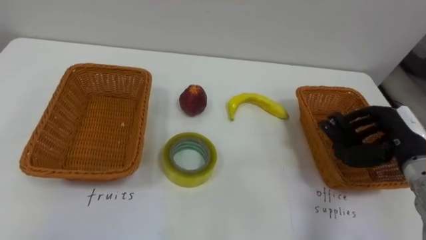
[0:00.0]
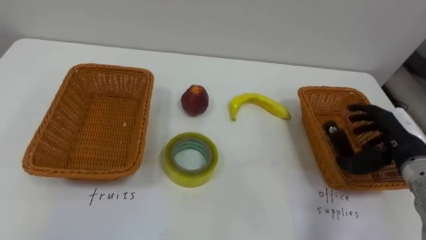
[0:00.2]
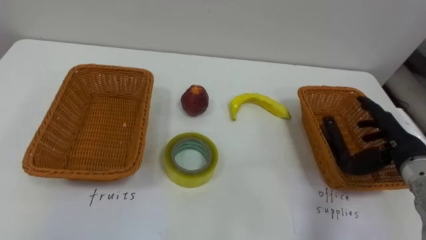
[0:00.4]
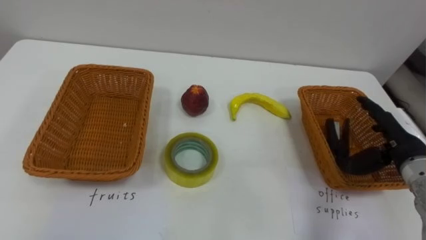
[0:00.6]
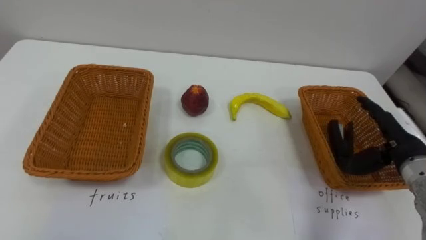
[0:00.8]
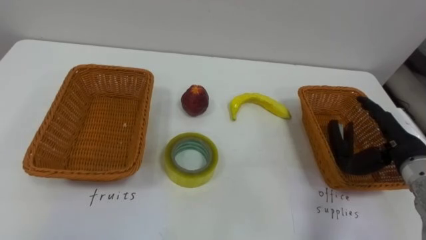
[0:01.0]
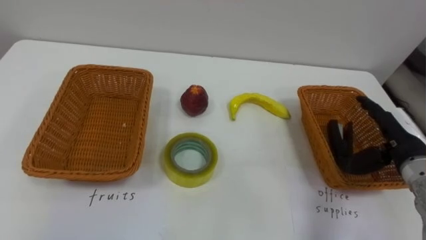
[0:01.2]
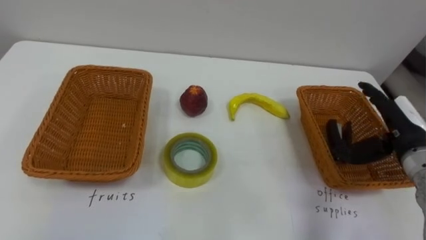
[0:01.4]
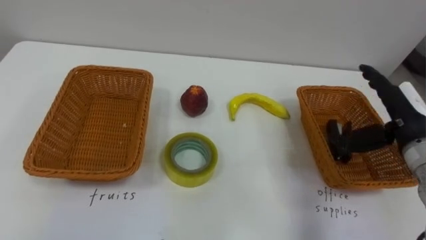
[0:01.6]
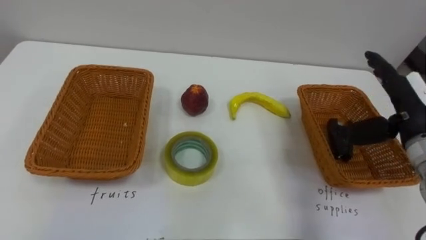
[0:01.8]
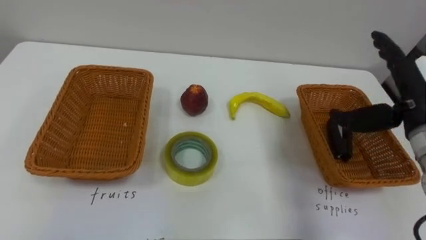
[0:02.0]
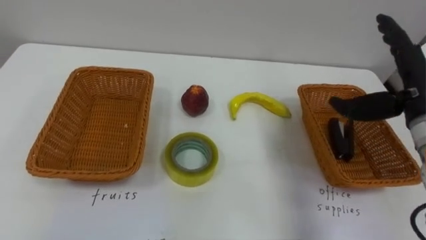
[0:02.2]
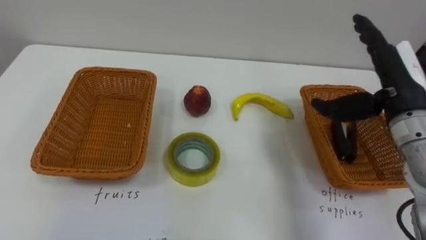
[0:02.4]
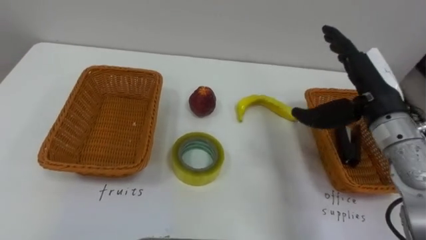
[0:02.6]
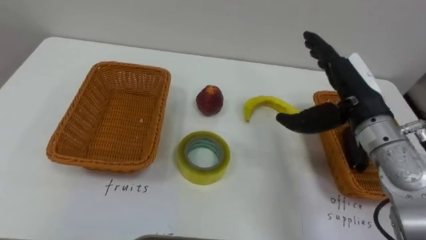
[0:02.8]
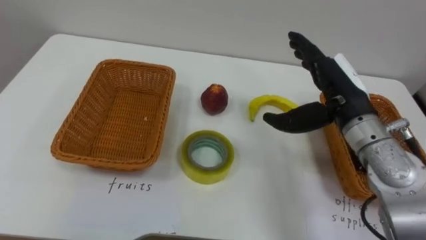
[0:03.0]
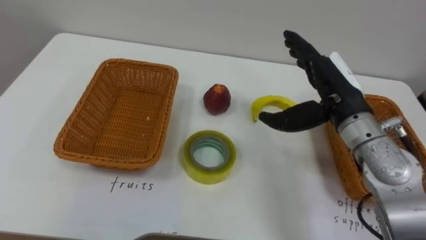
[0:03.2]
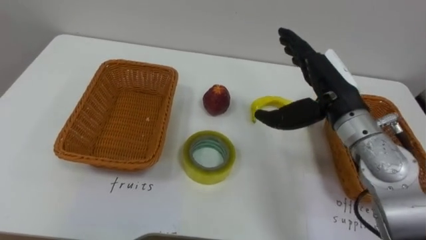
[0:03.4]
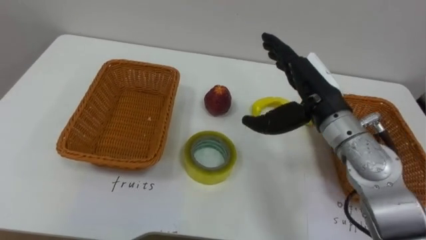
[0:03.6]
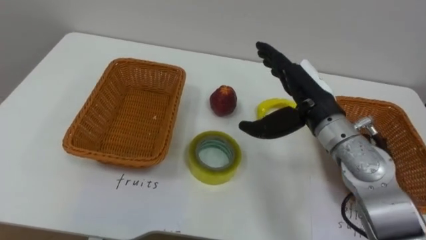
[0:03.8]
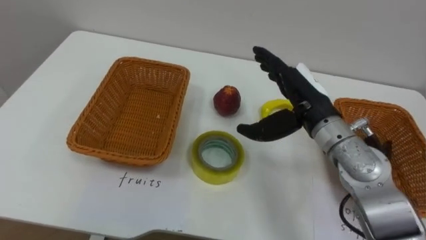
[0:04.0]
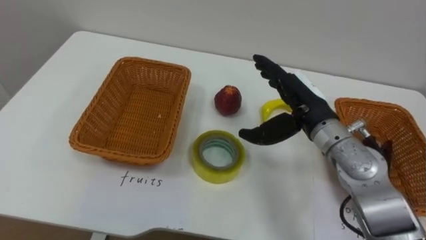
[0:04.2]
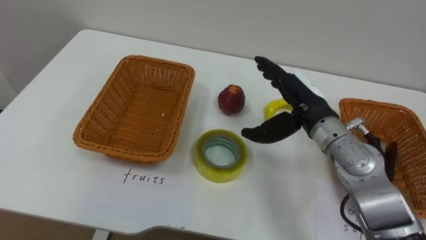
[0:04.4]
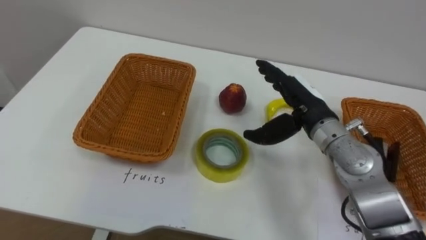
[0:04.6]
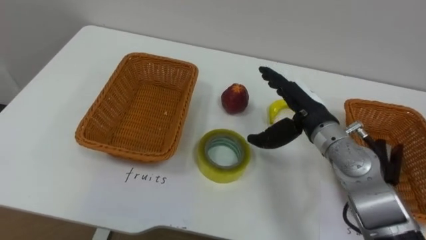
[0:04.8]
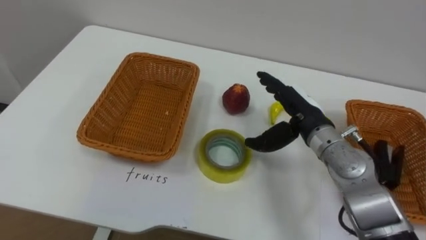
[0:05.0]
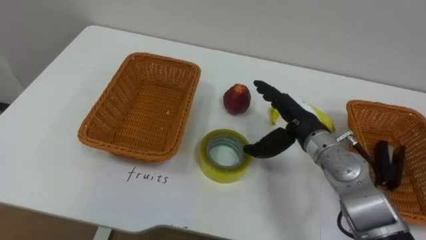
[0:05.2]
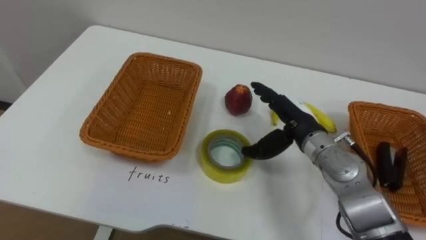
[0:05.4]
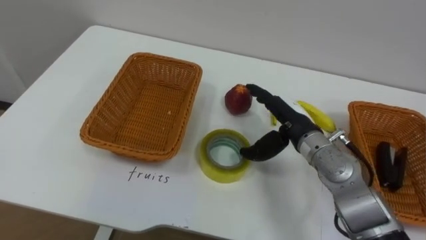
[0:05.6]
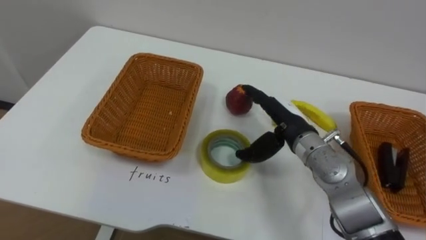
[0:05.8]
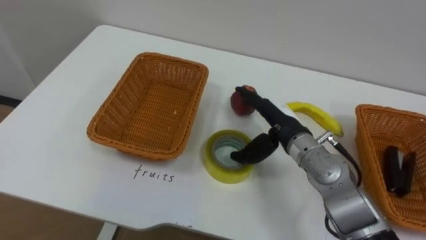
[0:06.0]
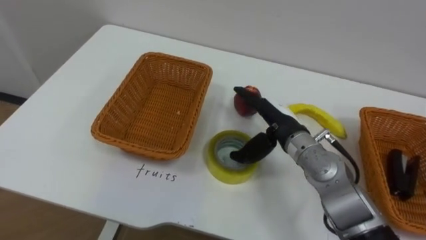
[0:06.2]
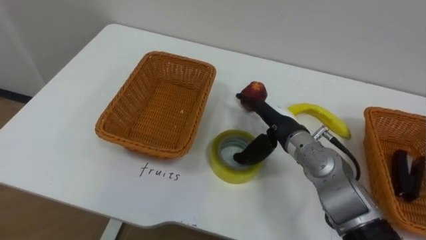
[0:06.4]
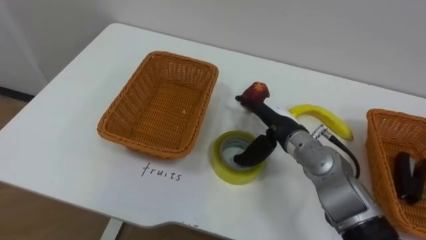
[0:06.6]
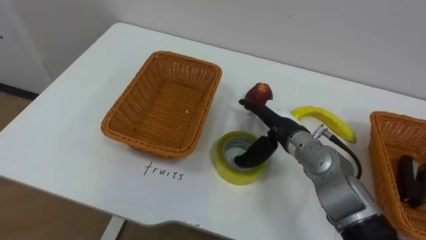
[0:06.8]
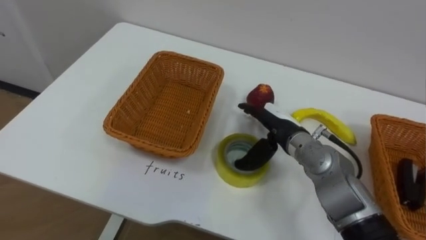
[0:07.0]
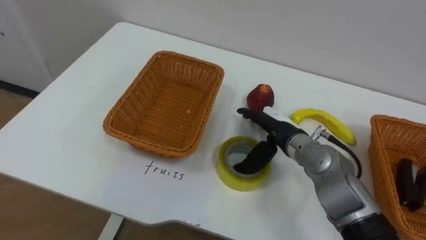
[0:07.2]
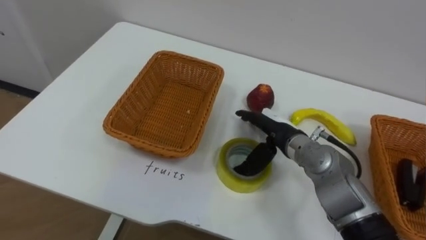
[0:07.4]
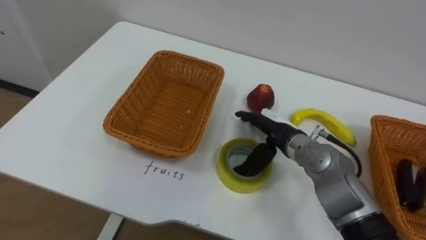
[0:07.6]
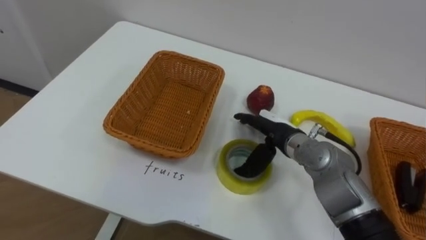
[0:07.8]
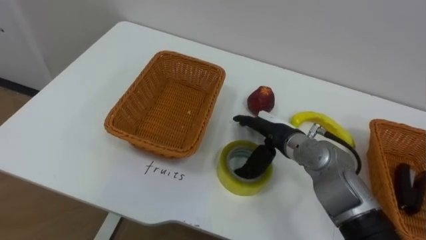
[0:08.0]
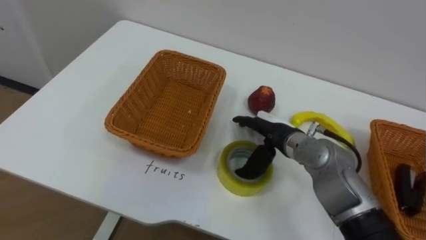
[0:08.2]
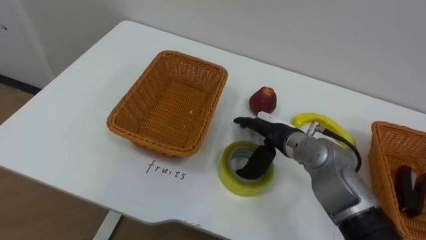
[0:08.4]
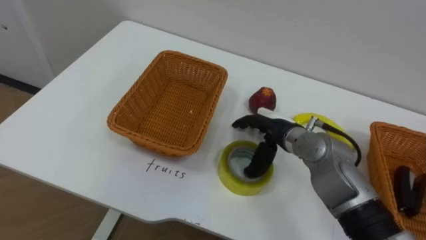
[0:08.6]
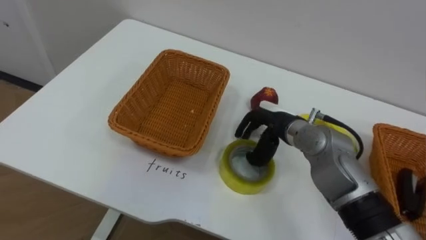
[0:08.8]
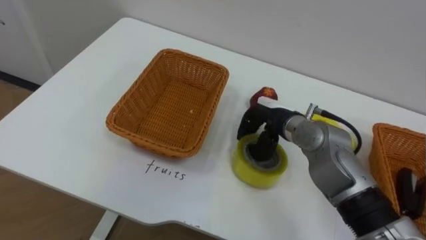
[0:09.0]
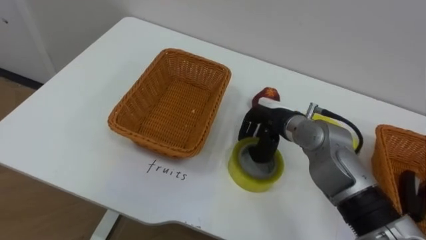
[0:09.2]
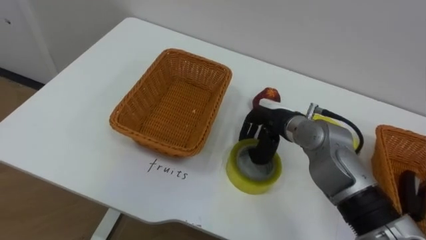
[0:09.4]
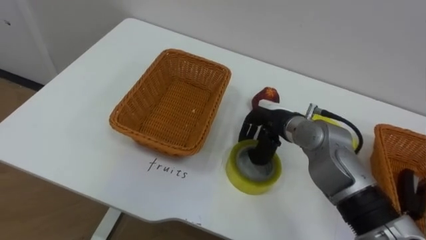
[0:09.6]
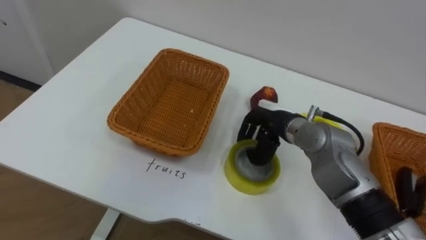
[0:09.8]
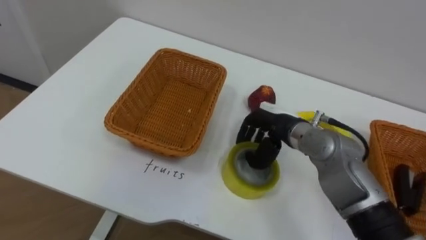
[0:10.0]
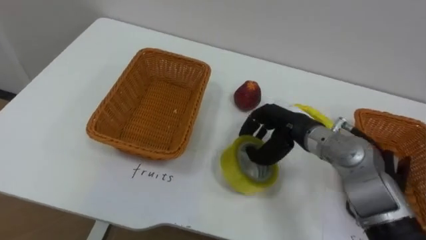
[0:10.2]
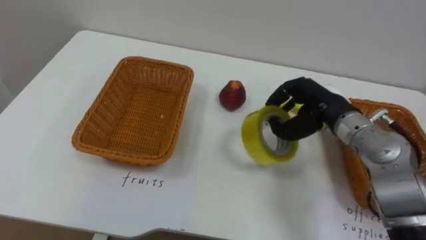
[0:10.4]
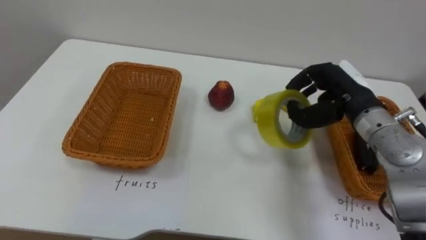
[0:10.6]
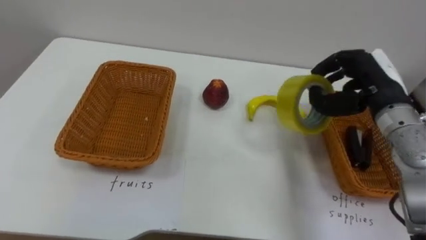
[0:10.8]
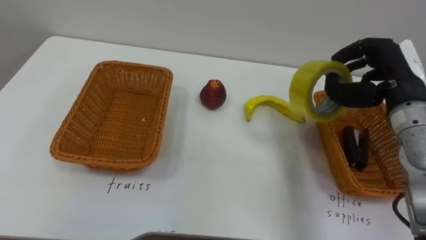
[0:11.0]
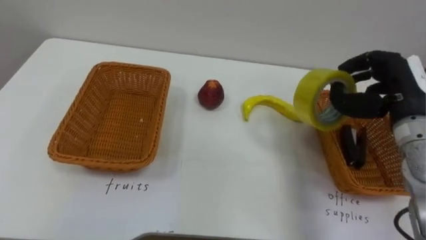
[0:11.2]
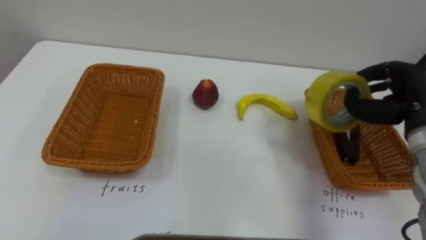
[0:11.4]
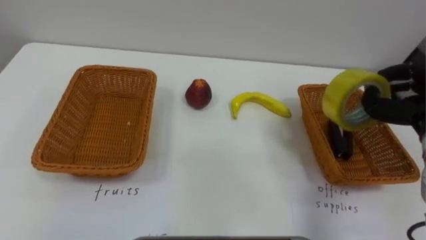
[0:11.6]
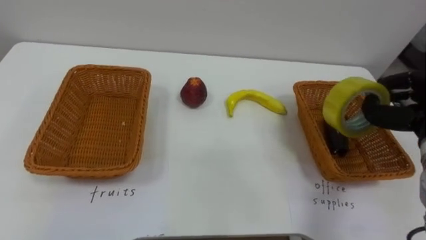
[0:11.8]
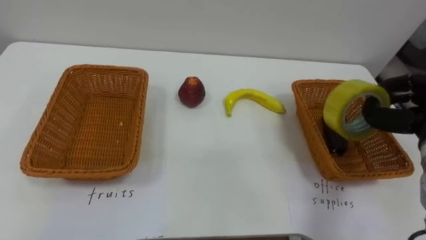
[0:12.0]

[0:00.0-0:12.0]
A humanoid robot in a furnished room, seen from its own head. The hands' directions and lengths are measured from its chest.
Task of the whole recording: Separate the items on the table and place them into the two baskets.
0:00.0 to 0:01.6: The right hand opens.
0:01.6 to 0:03.0: The right hand goes approximately 10 cm to the left.
0:03.0 to 0:04.4: The right hand shifts by roughly 5 cm.
0:04.4 to 0:06.0: The right hand moves about 5 cm.
0:07.6 to 0:09.0: The right hand closes up.
0:09.0 to 0:10.4: The right hand goes roughly 10 cm to the right and upward.

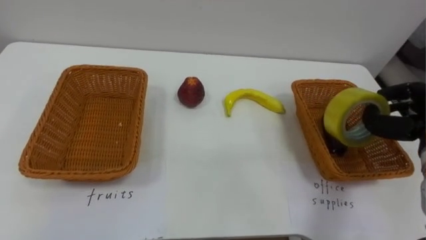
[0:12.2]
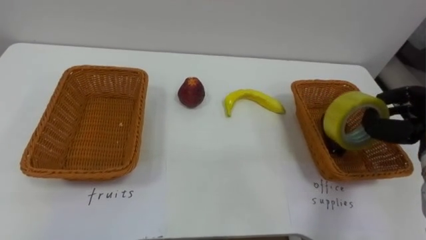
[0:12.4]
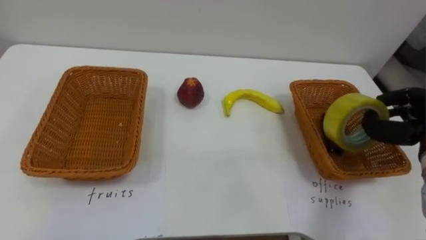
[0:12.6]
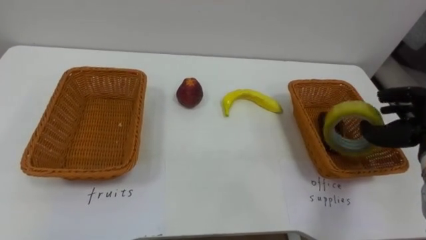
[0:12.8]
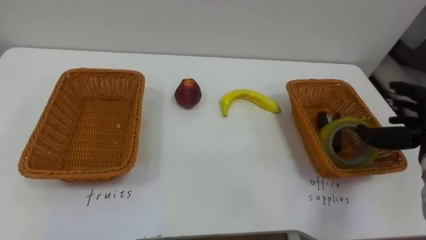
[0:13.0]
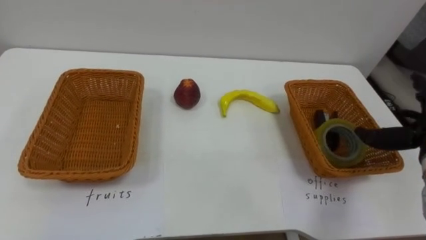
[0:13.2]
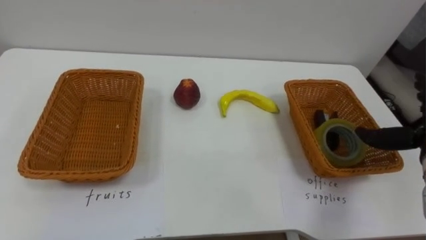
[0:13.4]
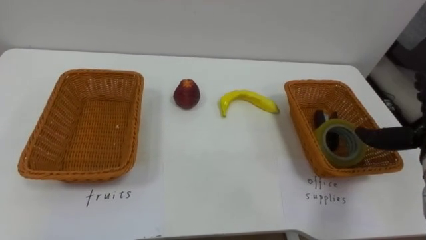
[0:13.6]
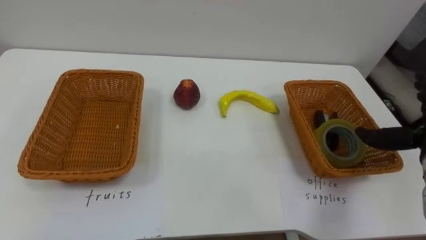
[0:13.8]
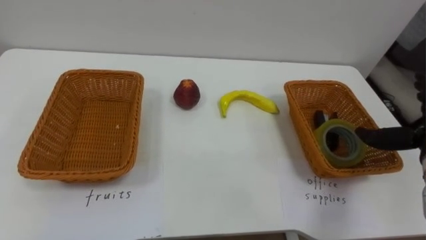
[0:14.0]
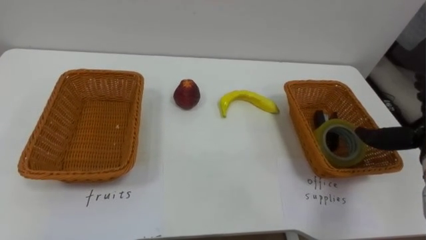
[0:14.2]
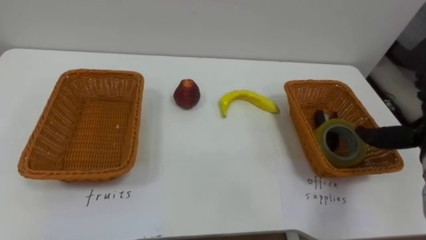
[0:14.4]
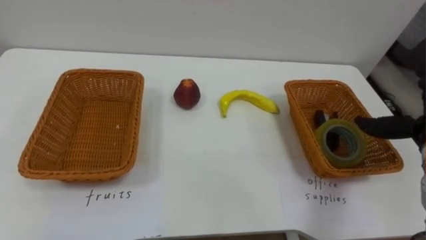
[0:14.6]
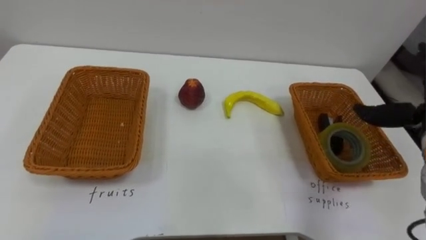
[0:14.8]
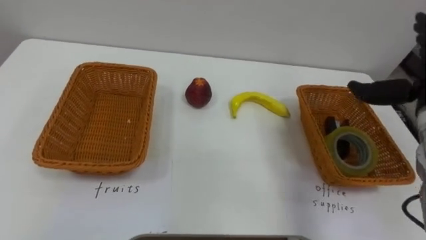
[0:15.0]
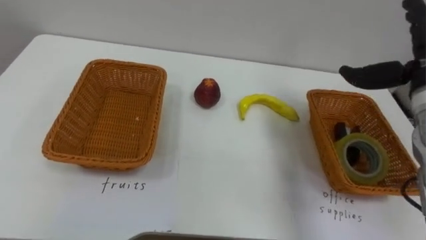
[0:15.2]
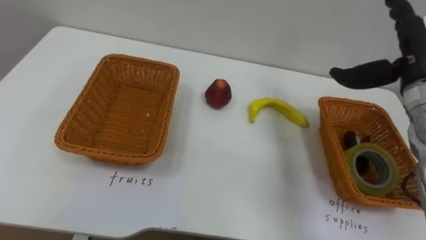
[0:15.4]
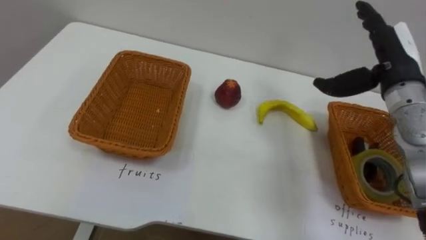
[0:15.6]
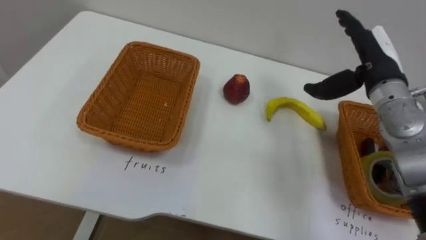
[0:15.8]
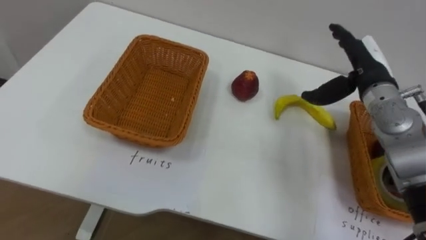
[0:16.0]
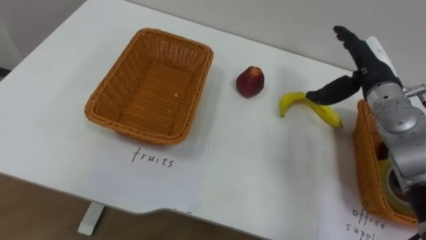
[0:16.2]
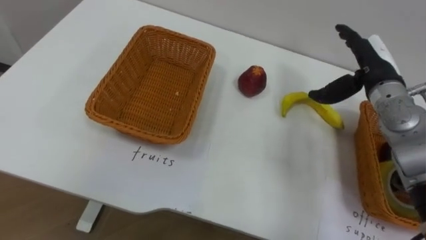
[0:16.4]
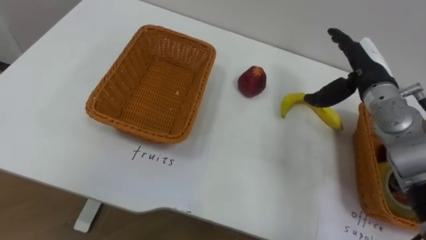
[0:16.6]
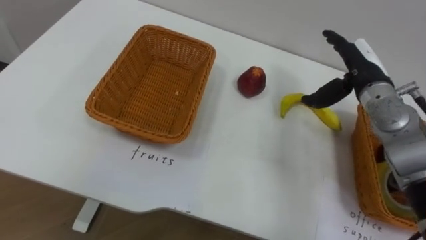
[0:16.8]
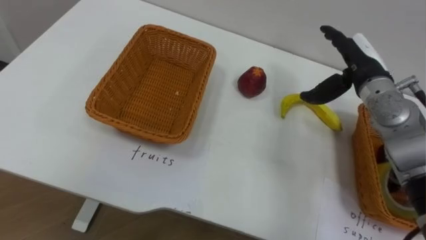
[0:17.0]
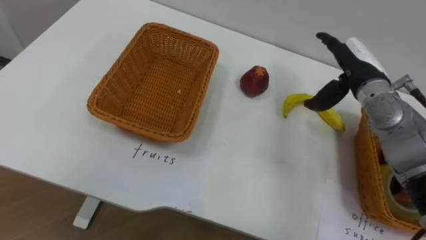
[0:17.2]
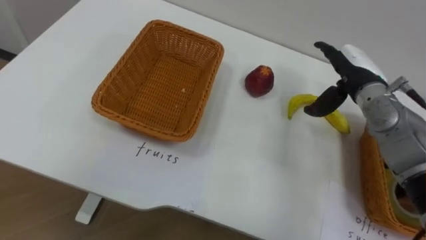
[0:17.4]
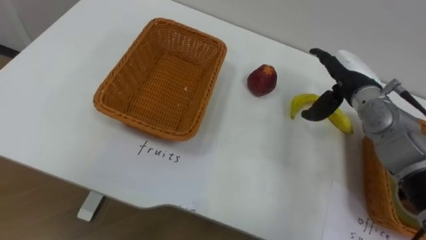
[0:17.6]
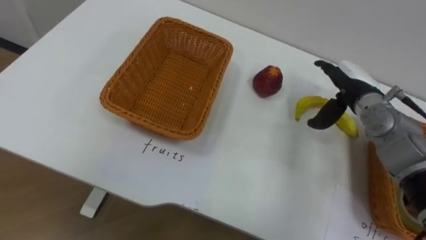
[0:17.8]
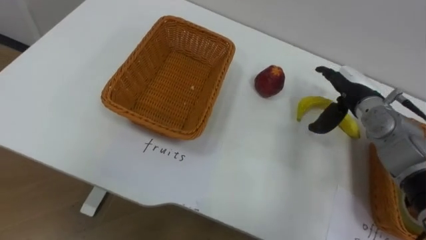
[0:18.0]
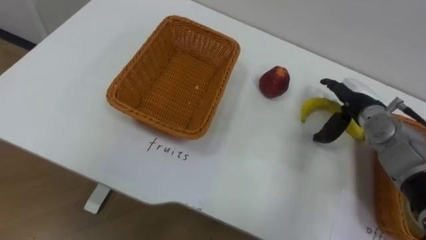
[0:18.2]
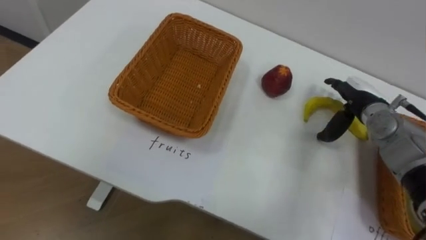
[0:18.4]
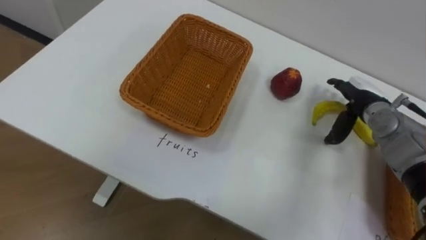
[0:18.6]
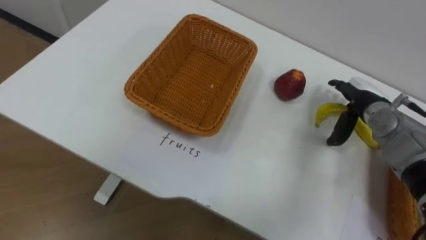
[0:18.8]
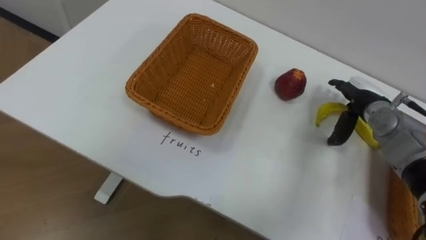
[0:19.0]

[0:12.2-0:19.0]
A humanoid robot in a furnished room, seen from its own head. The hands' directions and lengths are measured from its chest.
Task of the whole recording: Separate the items on the table and place them into the two baskets.
0:17.6 to 0:19.0: The right hand heads downward, covering about 5 cm.
